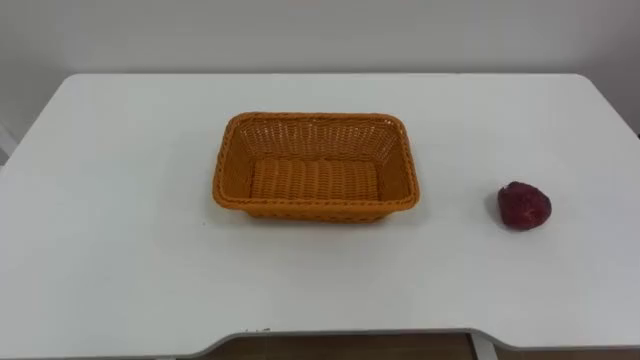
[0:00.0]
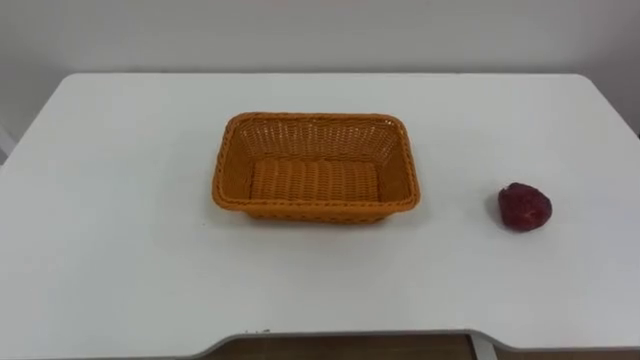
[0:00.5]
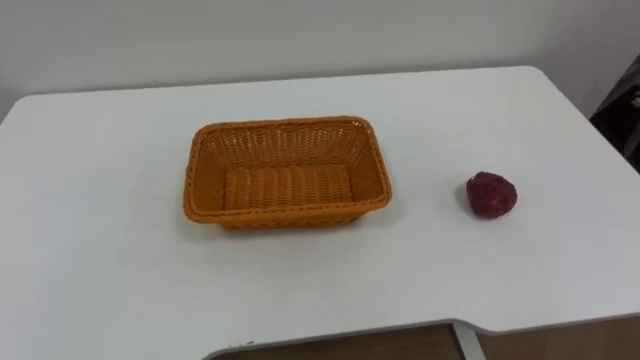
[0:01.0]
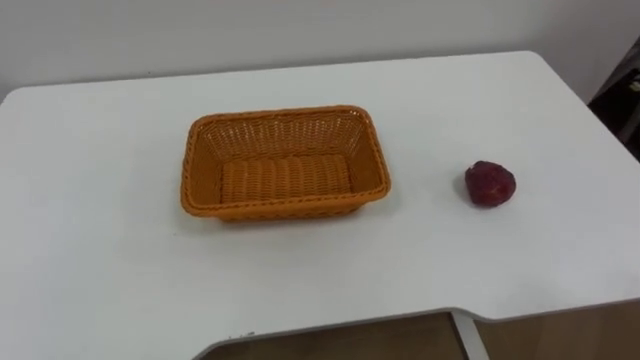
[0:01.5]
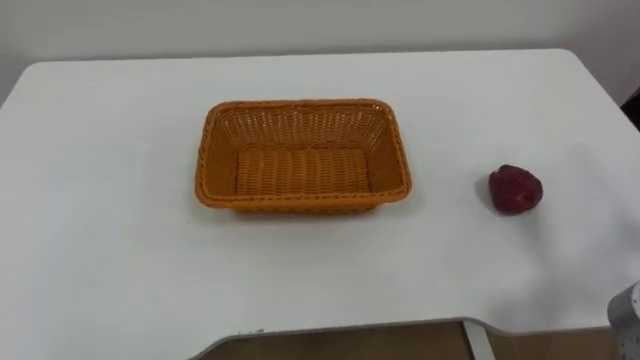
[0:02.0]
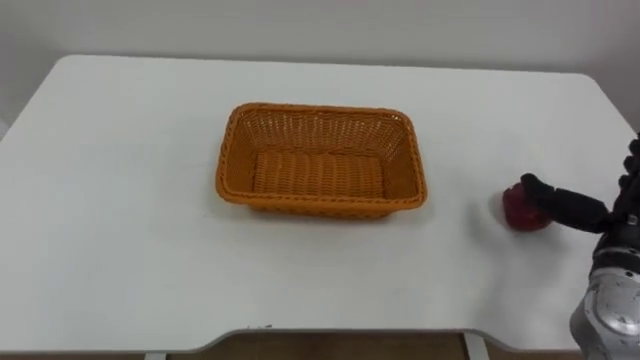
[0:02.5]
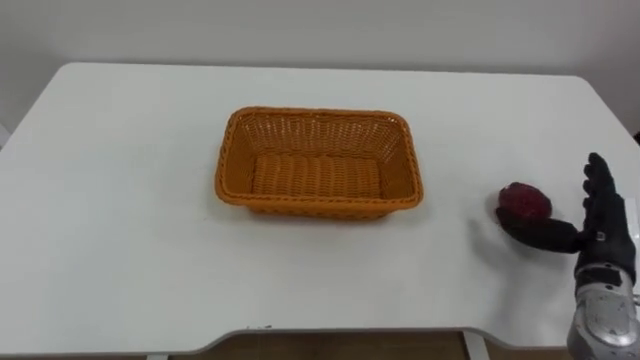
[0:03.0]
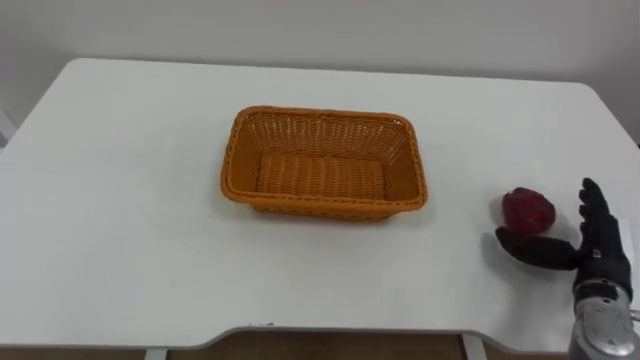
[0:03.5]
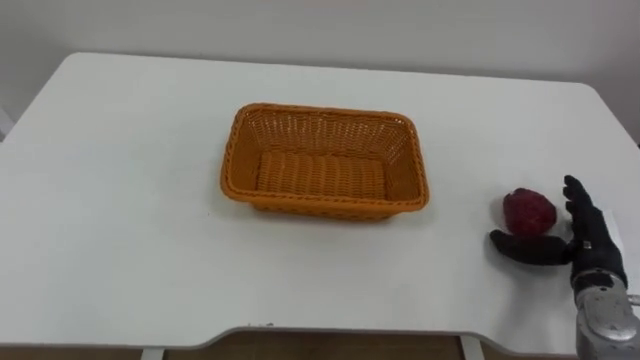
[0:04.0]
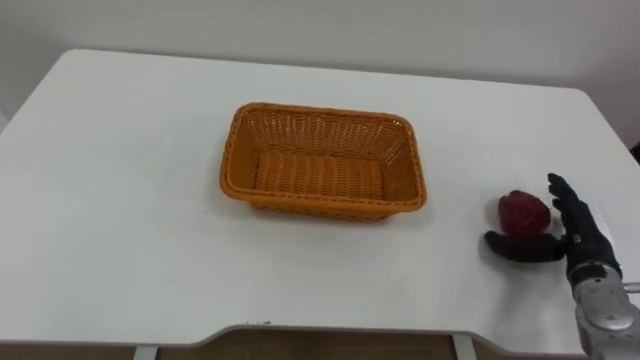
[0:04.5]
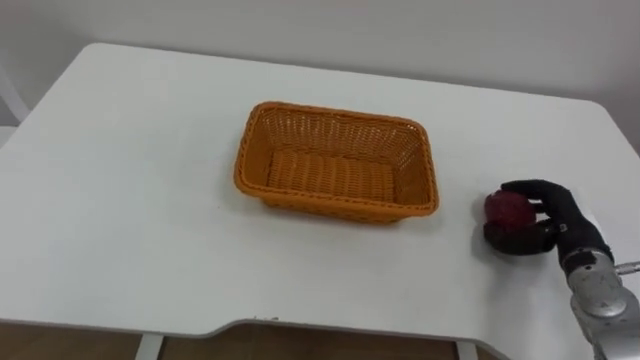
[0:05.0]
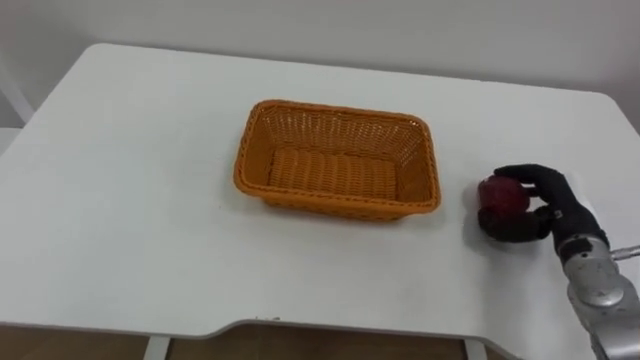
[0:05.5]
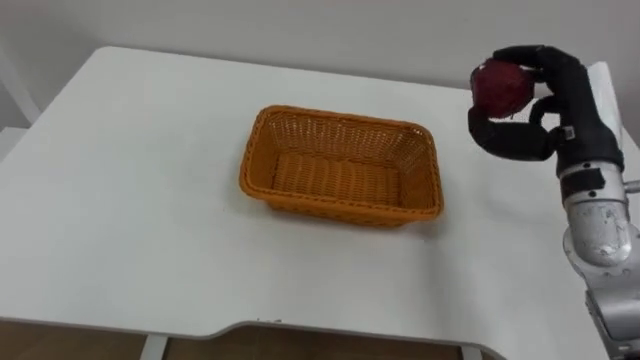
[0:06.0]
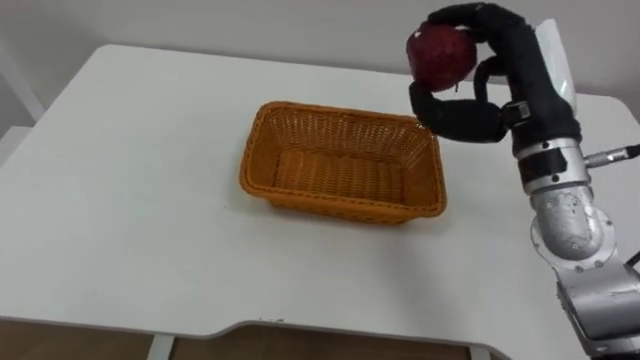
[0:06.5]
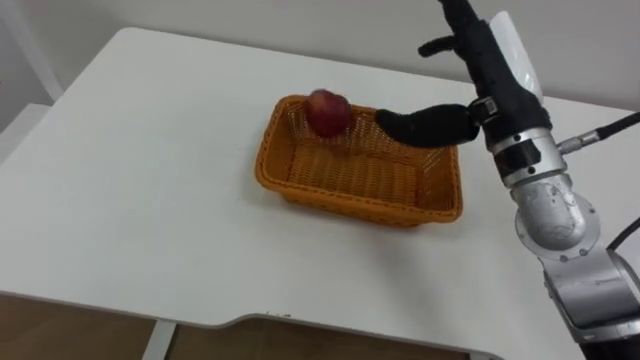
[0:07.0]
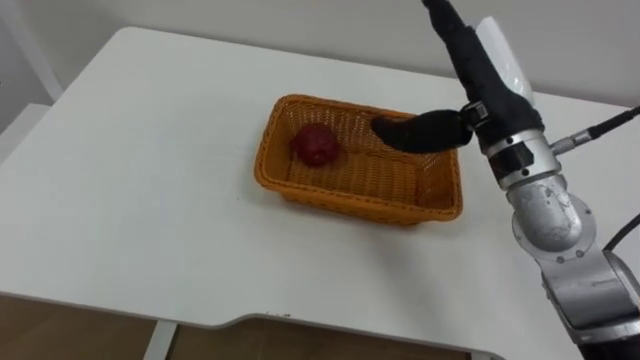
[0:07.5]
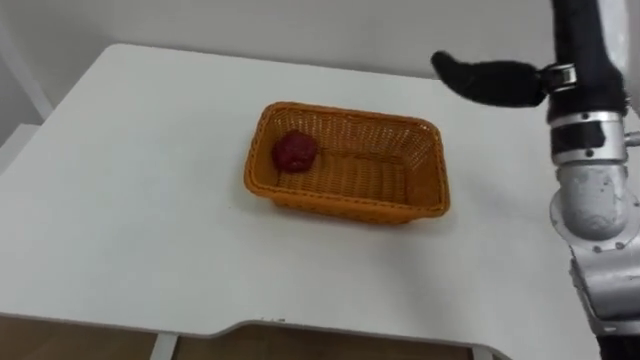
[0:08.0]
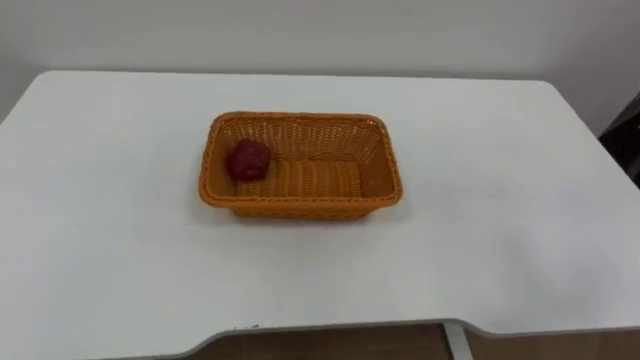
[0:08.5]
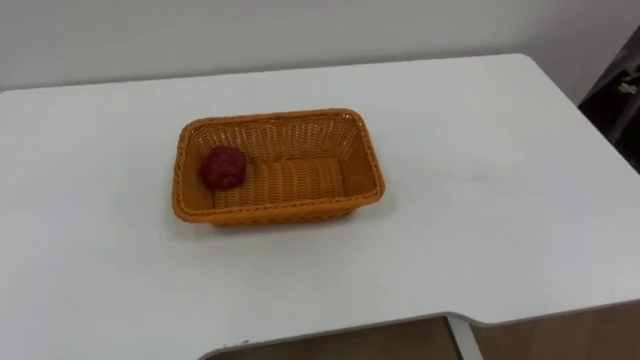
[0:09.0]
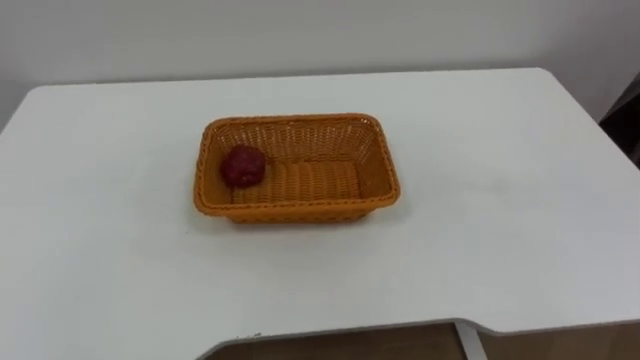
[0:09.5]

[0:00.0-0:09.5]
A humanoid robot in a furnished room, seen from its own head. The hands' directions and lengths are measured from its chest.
Task of the whole recording: Pick the apple and place it in the box.
0:04.0 to 0:05.5: The right hand closes.
0:05.5 to 0:07.5: The right hand goes approximately 25 cm upward and to the left, and opens its fingers.

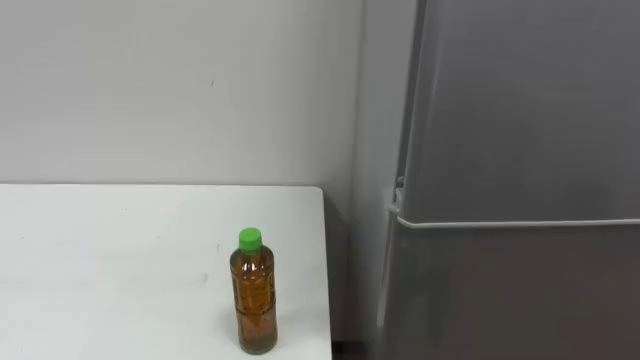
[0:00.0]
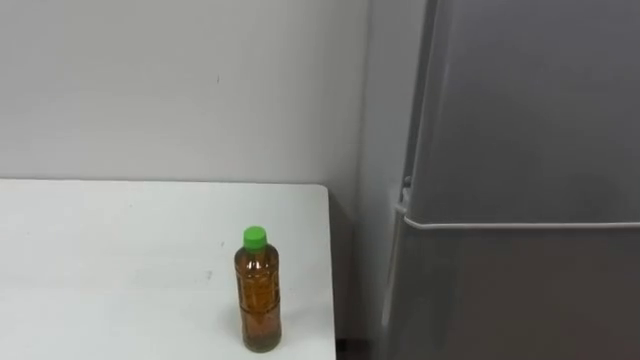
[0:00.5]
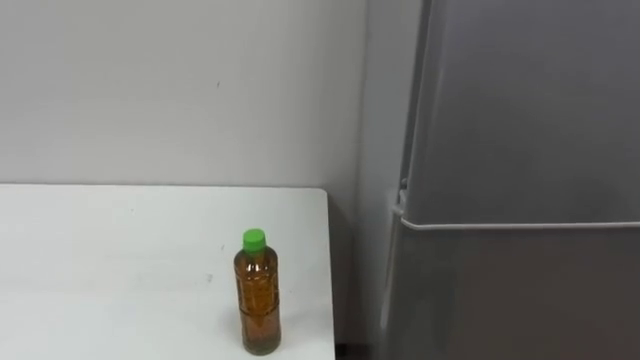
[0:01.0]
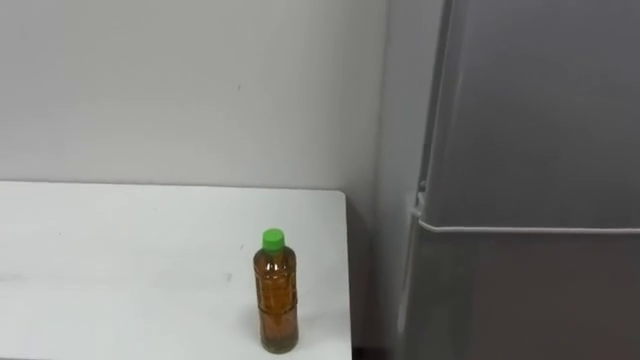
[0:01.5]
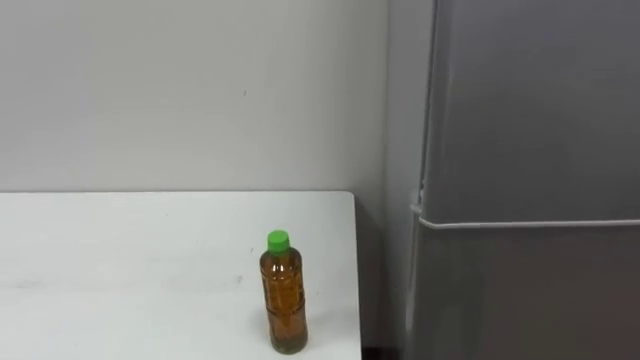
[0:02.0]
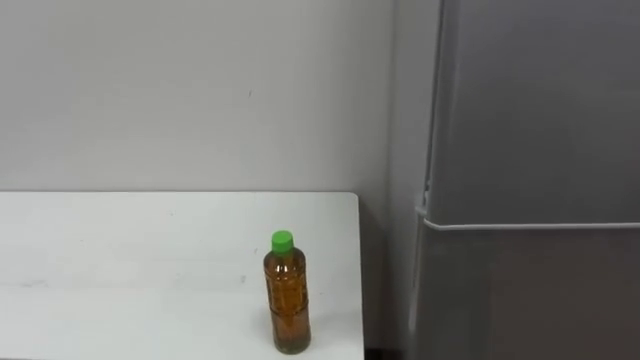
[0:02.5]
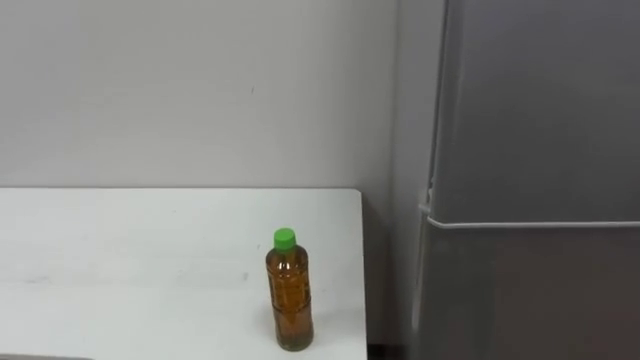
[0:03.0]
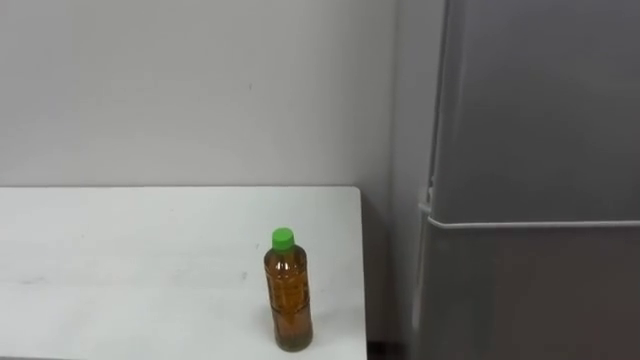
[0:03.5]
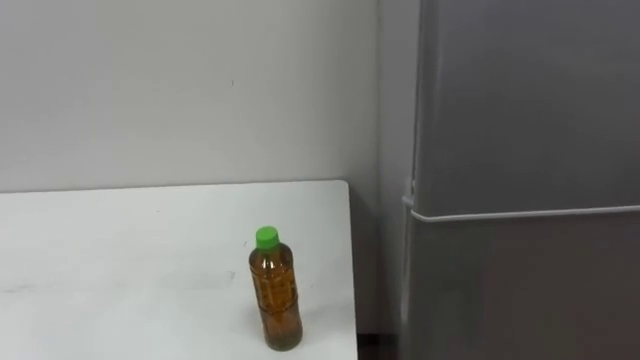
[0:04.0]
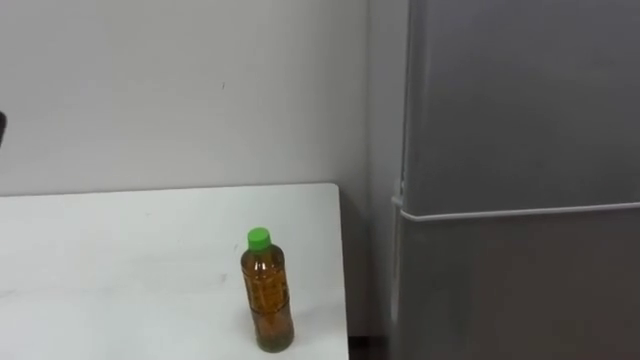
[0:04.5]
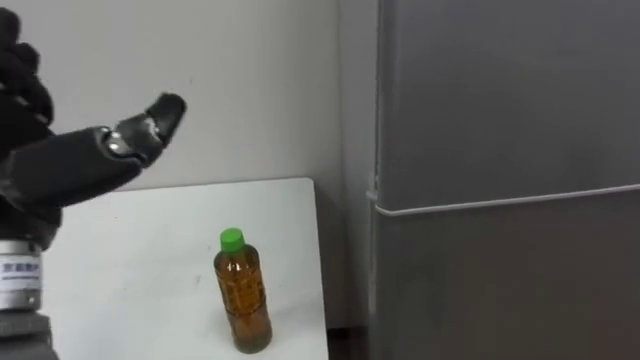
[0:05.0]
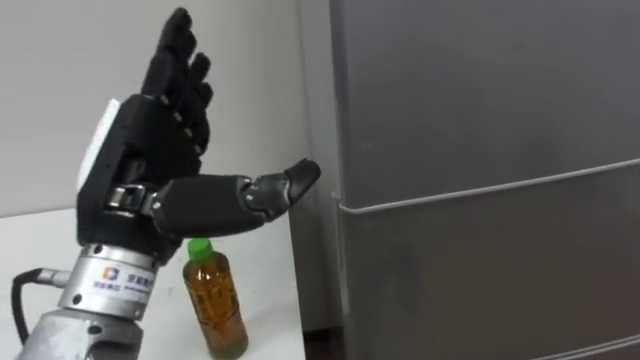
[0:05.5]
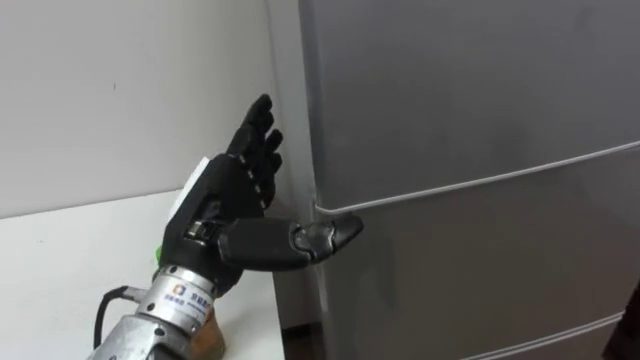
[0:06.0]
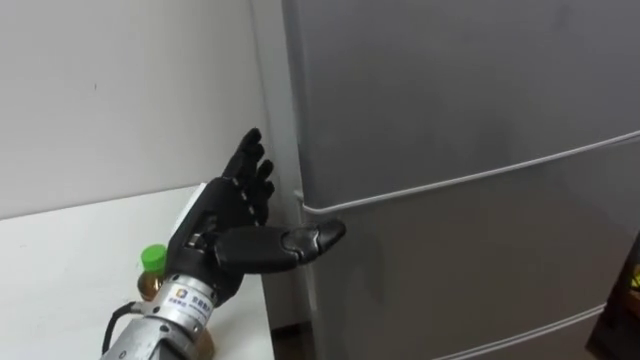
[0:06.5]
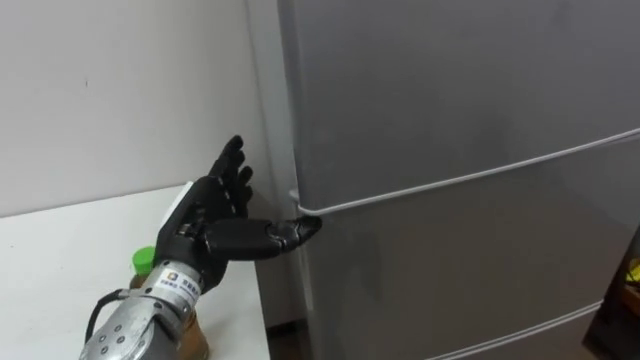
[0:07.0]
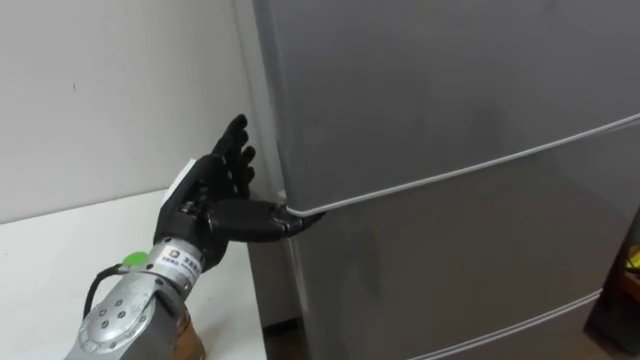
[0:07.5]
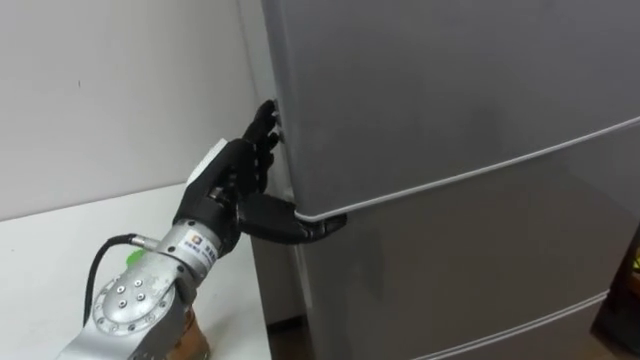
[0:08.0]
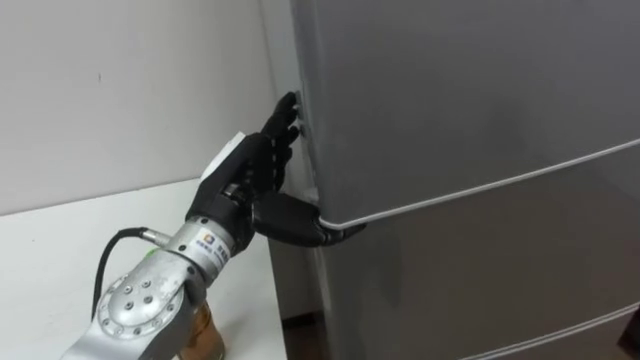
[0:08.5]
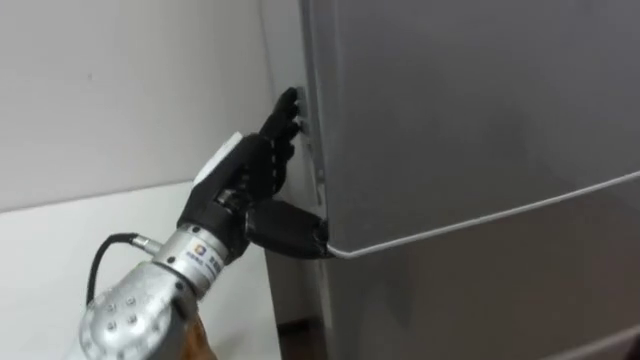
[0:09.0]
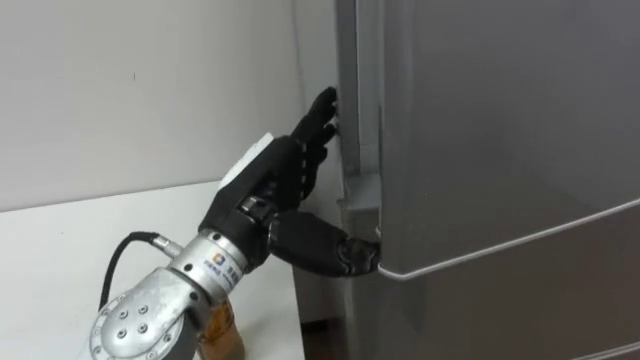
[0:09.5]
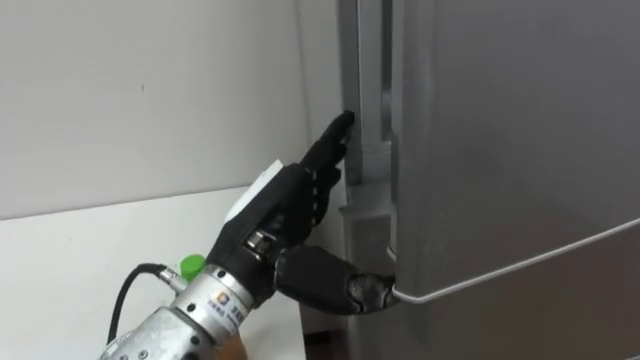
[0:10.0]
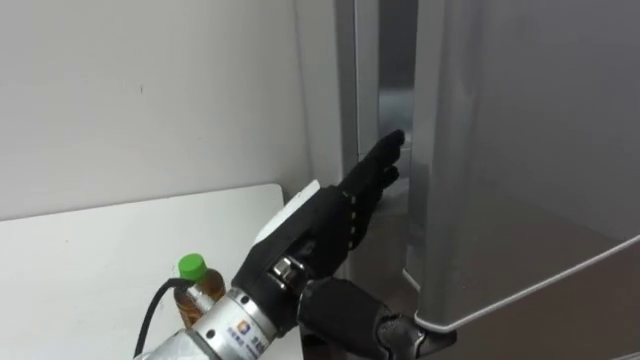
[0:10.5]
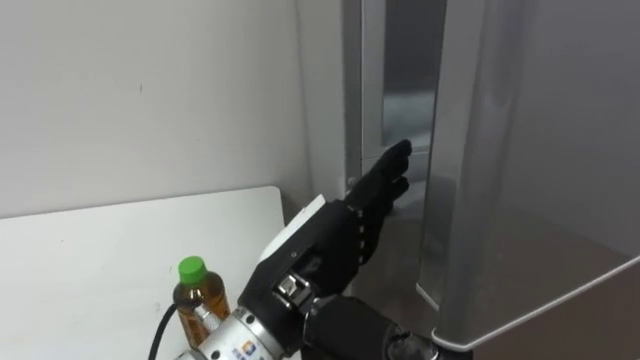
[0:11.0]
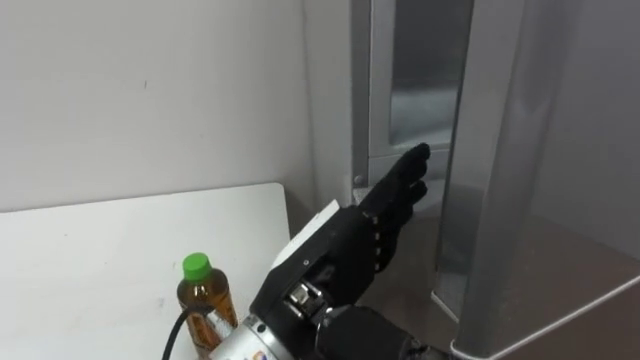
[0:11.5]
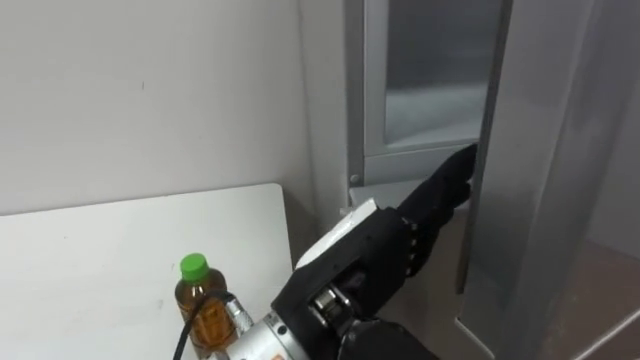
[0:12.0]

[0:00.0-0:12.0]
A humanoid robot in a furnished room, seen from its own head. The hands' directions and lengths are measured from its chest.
Task of the whole recording: Open the upper refrigerator door, put the drink from the table into the refrigerator, and then close the refrigerator door.
0:06.0 to 0:08.0: The left hand is displaced forward by approximately 5 cm.
0:08.0 to 0:10.0: The left hand goes roughly 5 cm backward.
0:10.0 to 0:12.0: The left hand is displaced to the right and backward by some 10 cm.
